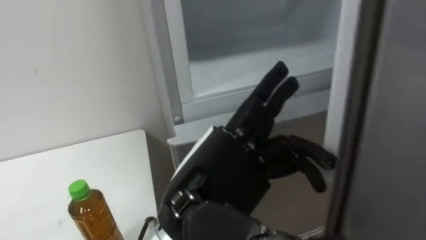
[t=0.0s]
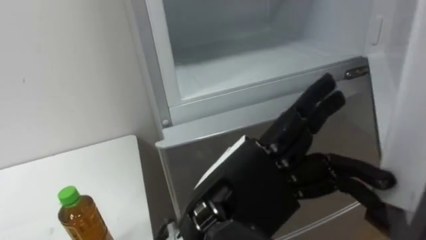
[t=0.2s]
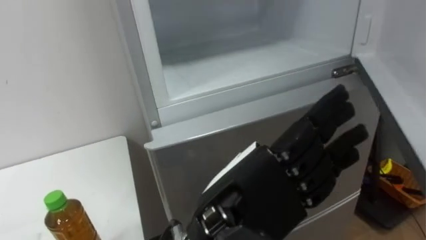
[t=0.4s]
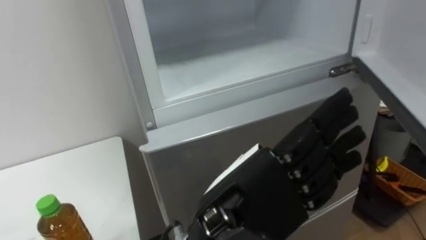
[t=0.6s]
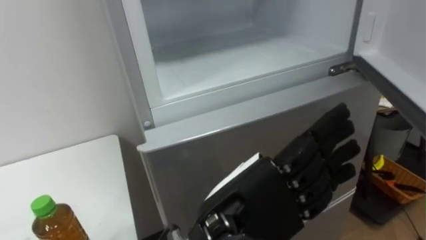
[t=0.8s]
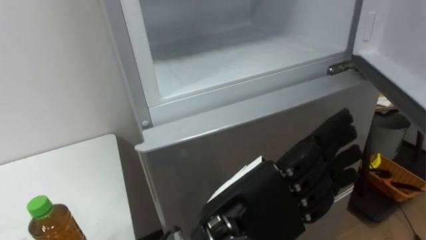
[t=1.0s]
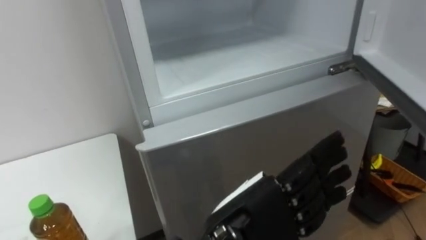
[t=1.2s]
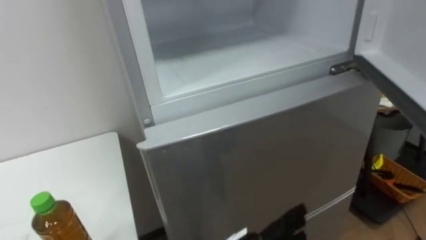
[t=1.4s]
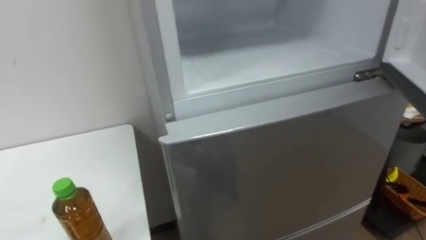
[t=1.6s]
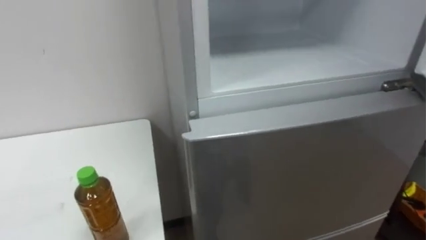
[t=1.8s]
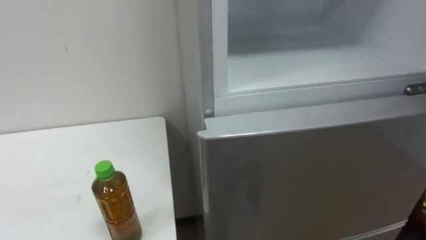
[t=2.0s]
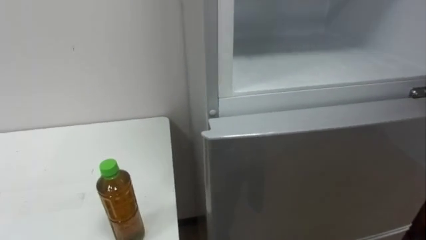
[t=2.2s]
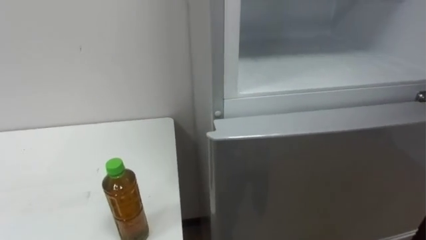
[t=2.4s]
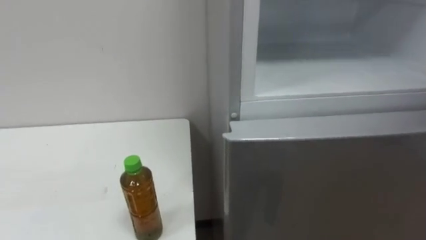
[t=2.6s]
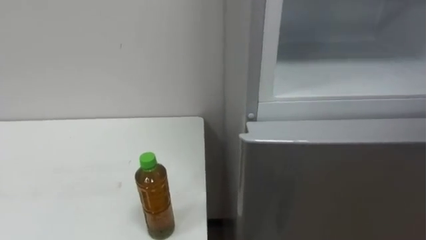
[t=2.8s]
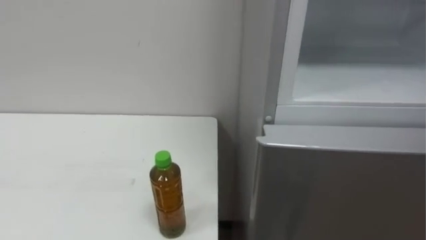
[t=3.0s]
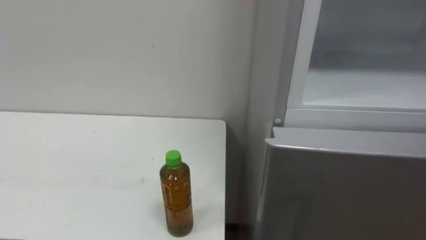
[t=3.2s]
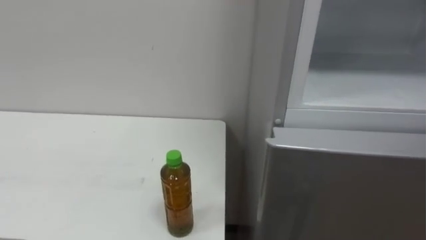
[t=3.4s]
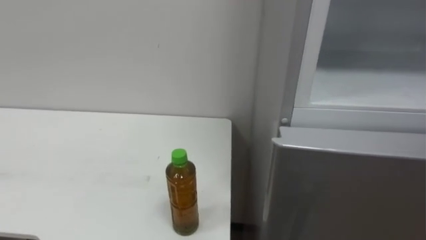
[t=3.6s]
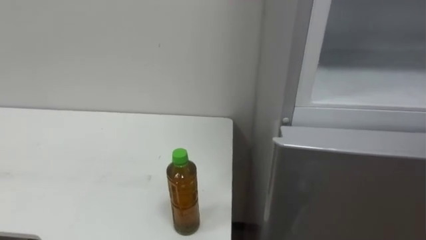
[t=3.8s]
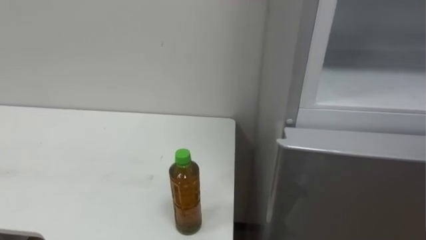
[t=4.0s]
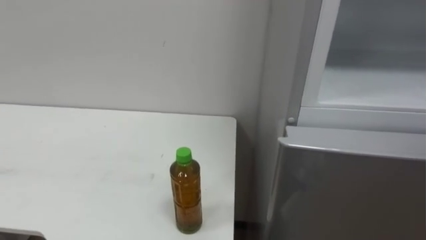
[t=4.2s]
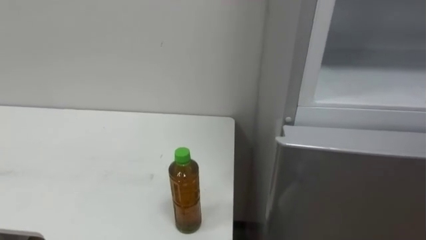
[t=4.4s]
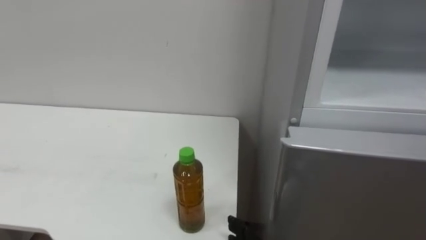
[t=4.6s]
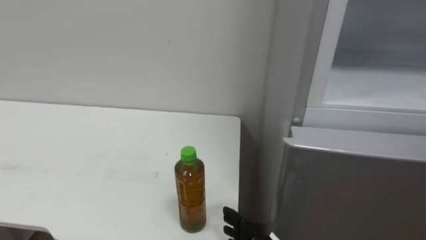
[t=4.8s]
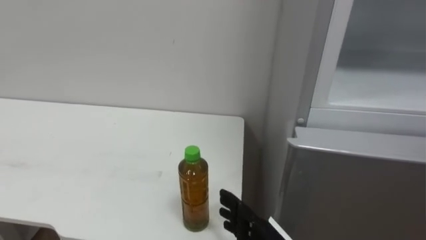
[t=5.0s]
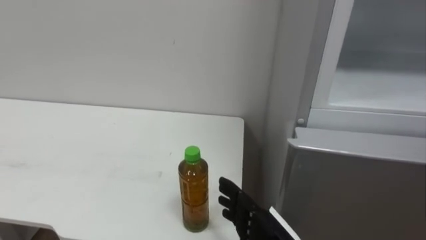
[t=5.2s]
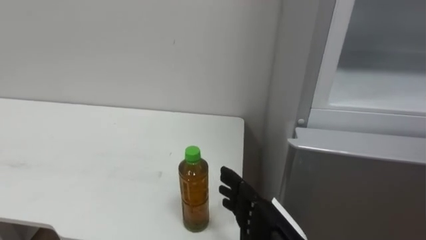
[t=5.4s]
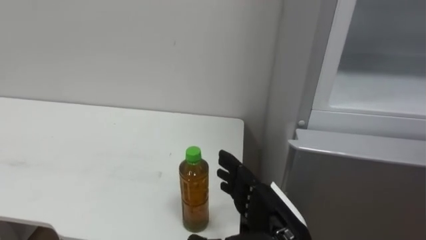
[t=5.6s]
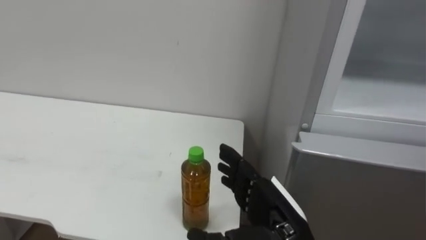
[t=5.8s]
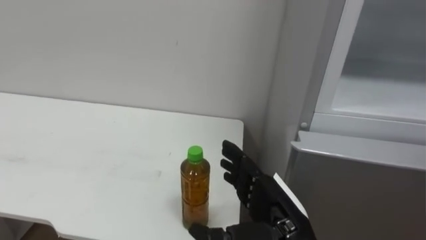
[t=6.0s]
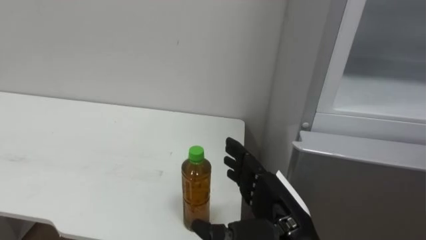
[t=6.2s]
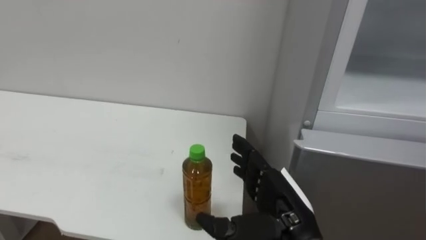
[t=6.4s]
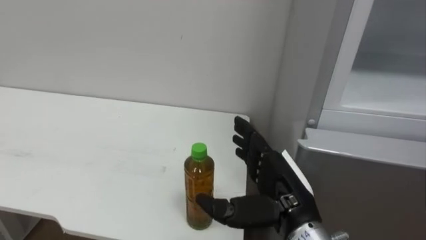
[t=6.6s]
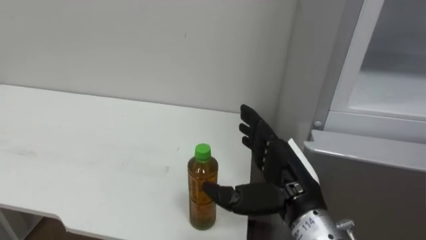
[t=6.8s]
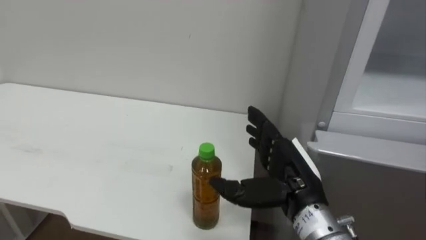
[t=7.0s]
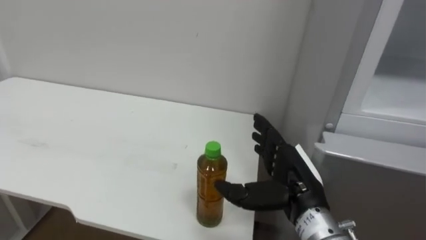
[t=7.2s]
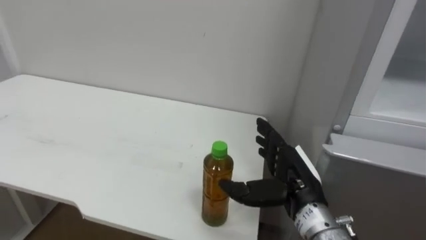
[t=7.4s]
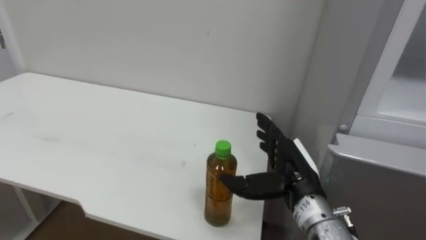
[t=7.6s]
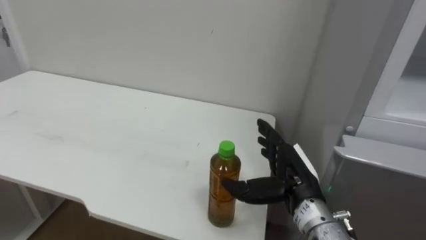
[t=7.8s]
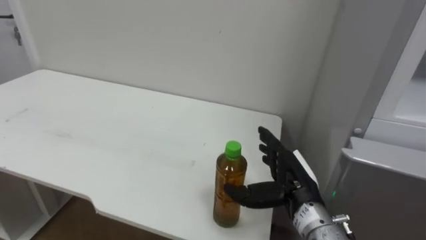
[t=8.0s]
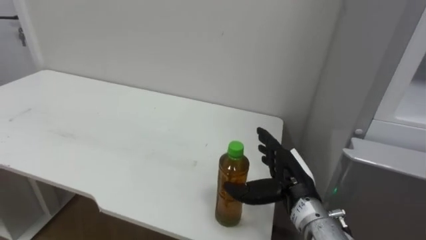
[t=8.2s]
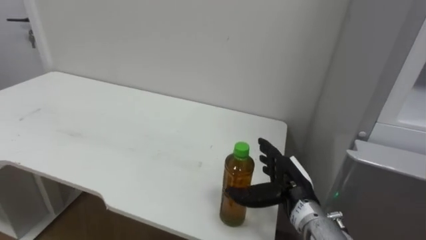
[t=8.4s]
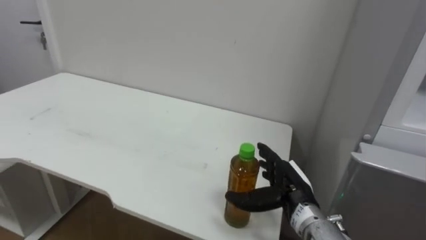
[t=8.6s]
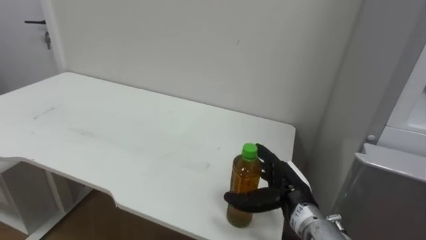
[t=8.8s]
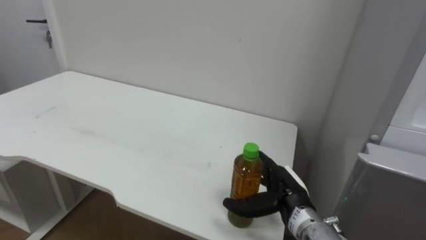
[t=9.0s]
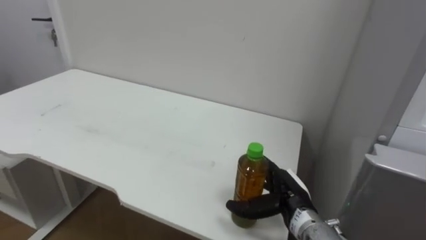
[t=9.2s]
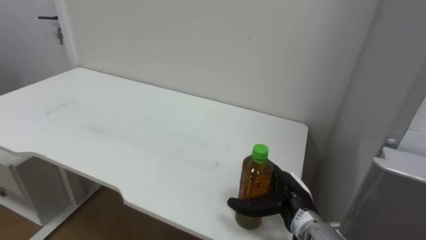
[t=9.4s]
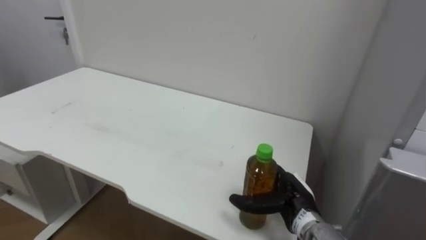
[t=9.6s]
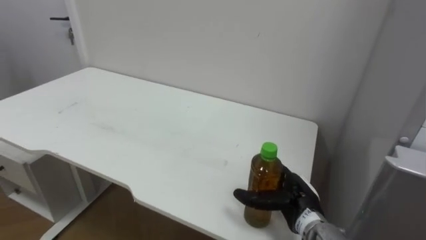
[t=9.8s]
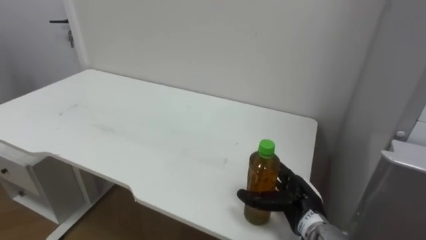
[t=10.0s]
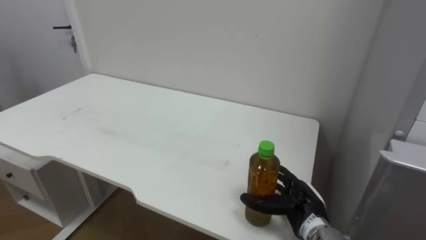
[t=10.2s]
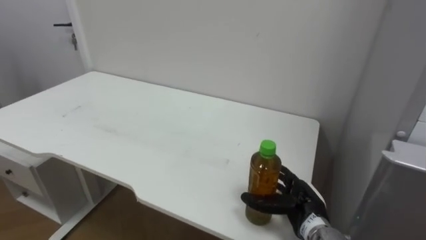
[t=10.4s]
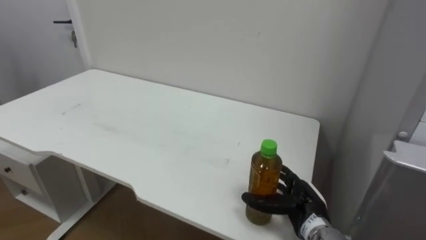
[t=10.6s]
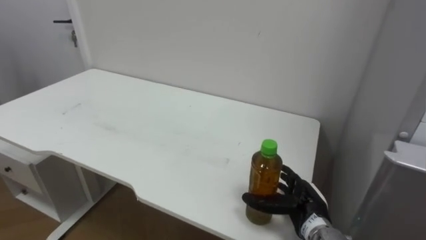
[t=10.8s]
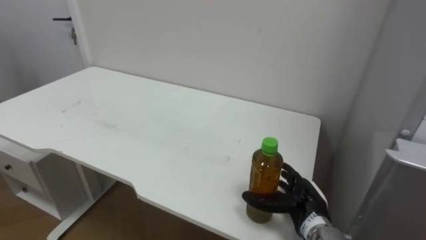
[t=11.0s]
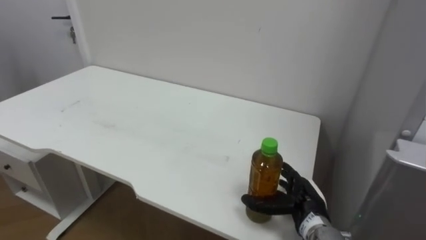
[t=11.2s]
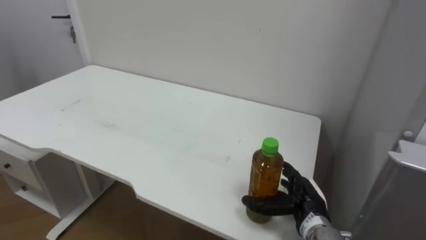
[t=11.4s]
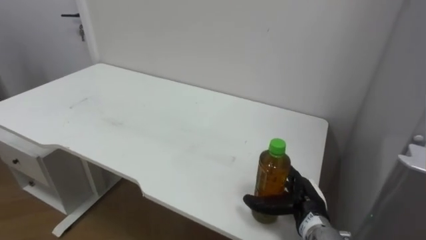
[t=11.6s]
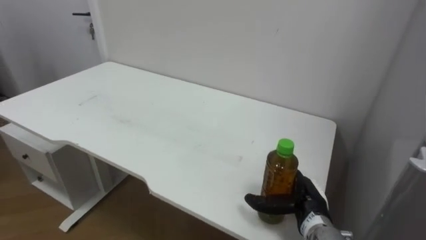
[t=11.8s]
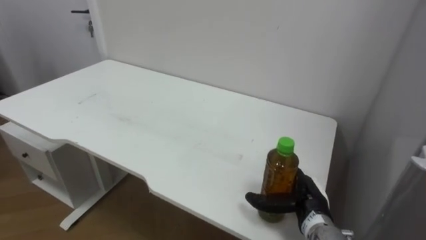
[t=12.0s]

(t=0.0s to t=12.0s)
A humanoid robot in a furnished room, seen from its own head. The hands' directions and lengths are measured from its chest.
Task of the whole recording: Open the upper refrigerator door, put the drink from the table into the refrigerator, and then close the refrigerator door.
t=6.0s - t=7.6s: The right hand moves forward, some 5 cm.
t=7.6s - t=9.0s: The right hand is displaced downward by some 5 cm.
t=9.0s - t=10.4s: The right hand shifts by some 5 cm.

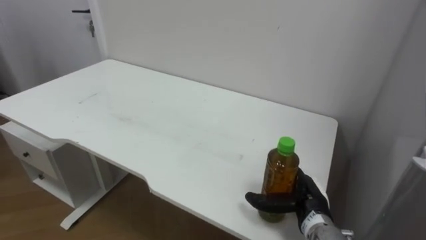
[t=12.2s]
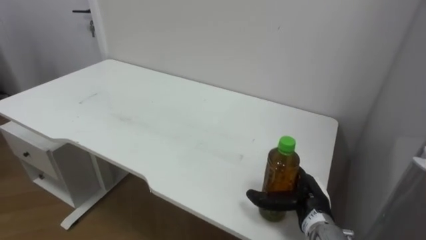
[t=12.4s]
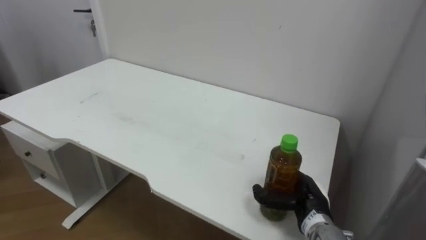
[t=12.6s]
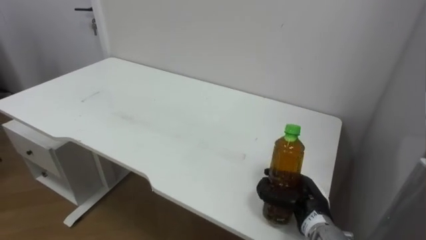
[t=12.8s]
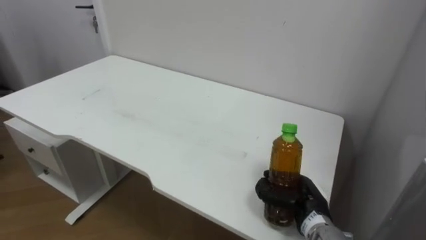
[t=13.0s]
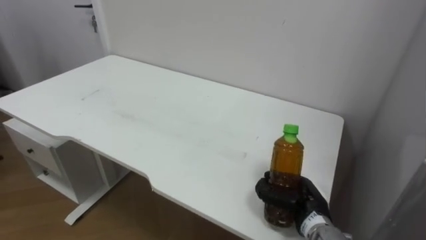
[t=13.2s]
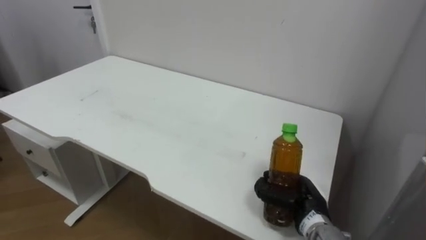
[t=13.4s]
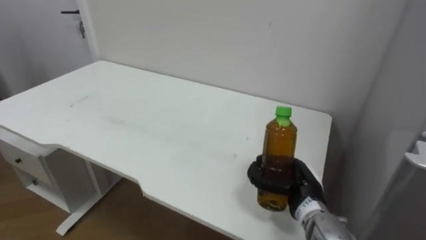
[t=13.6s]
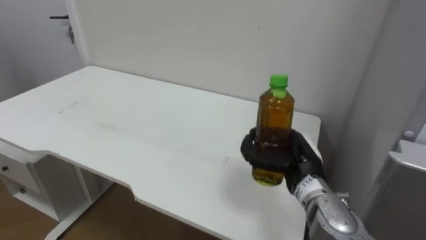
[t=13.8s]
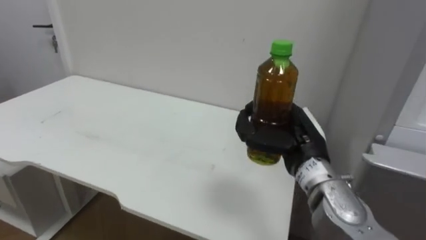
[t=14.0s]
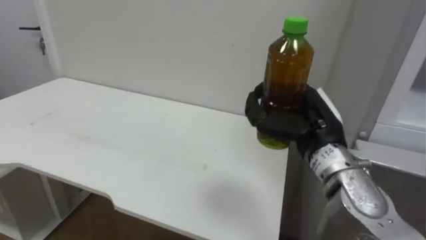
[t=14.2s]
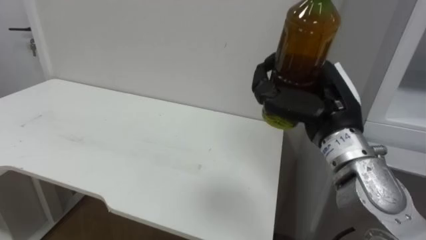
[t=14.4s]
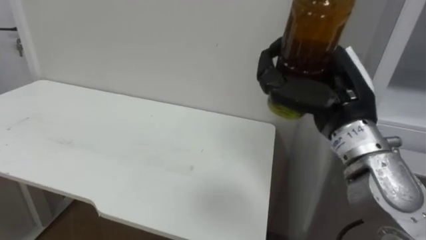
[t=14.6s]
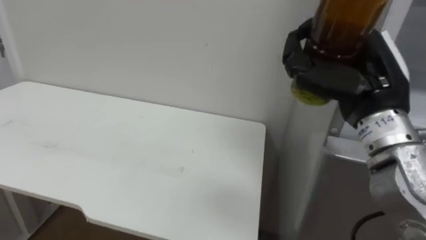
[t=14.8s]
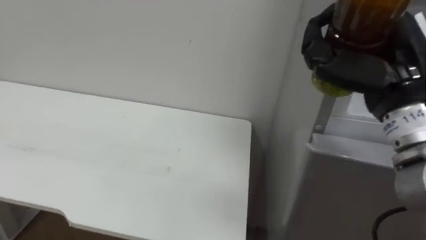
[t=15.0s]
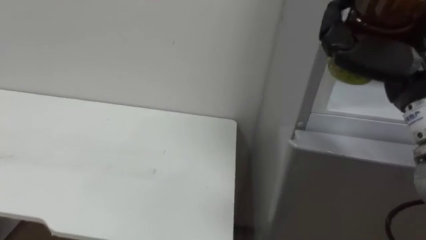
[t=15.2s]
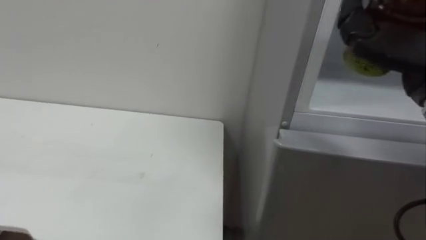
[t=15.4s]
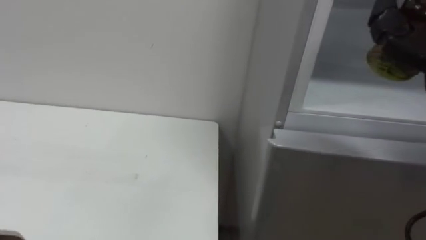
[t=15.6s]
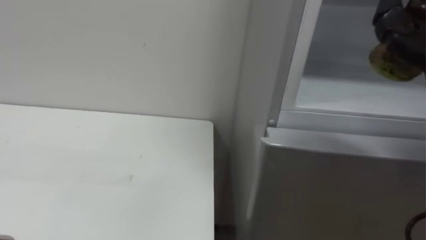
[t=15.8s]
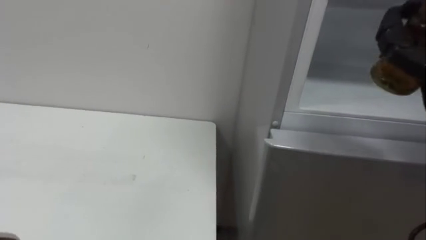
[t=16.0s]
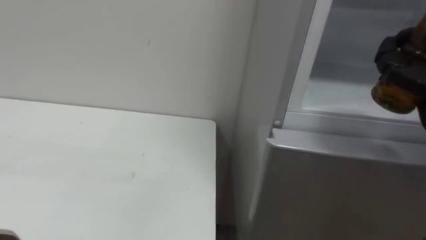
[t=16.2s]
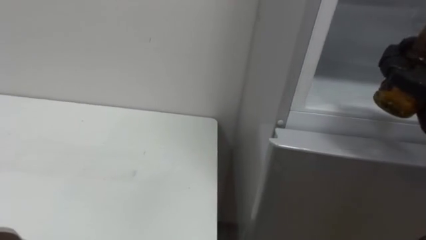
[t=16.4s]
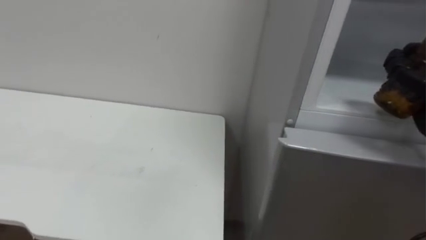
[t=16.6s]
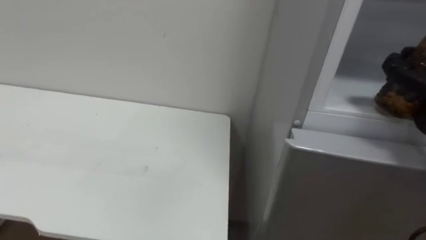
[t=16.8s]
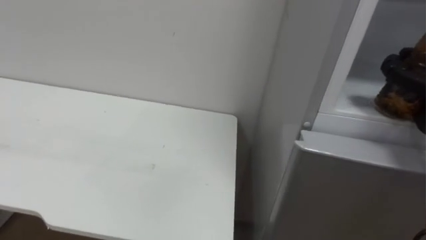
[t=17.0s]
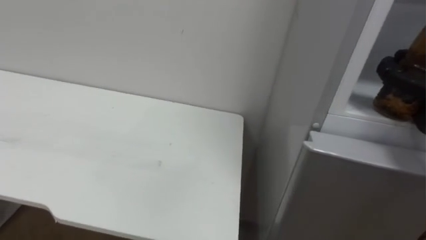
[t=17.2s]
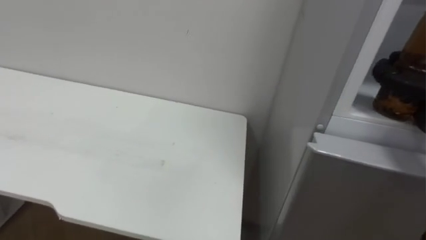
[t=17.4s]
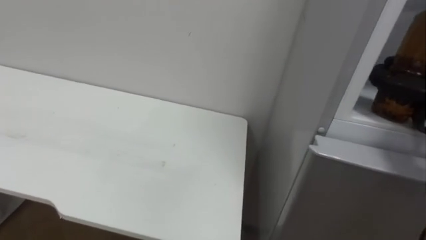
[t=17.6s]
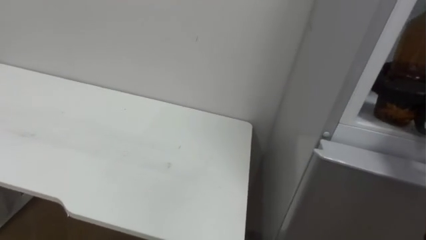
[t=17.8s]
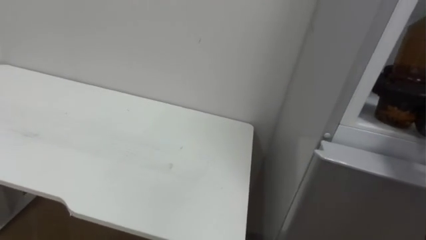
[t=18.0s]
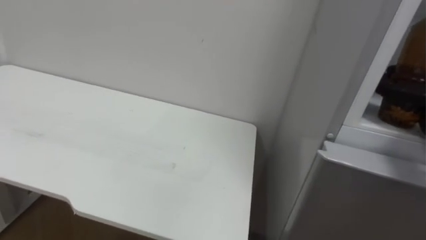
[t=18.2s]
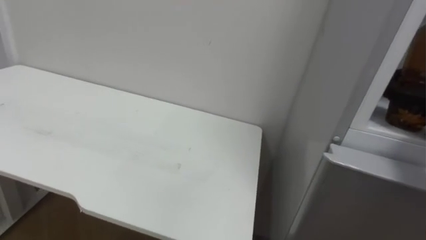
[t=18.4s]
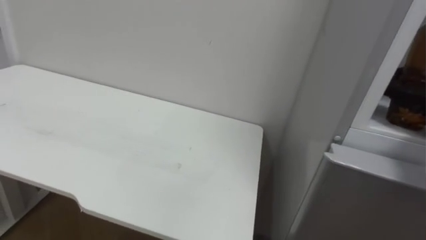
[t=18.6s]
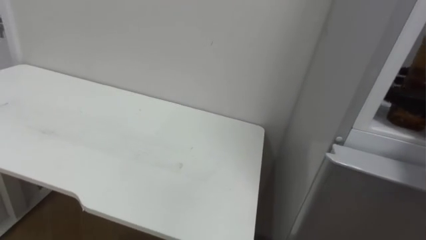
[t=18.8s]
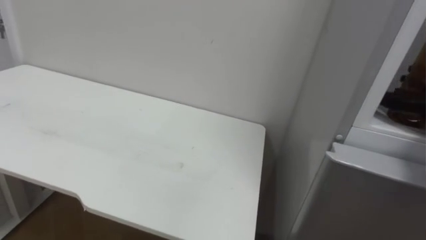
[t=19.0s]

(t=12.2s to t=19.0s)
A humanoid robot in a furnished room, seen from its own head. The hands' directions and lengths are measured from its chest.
Task of the whole recording: Open the upper refrigerator door, put the drink from the table into the refrigerator, and then close the refrigerator door.
t=12.2s - t=13.6s: The right hand closes.
t=13.6s - t=15.0s: The right hand moves upward, about 25 cm.
